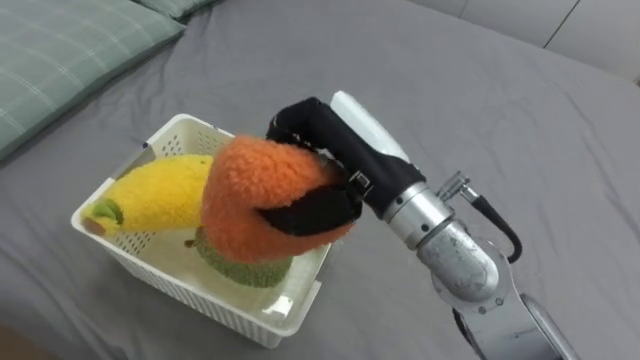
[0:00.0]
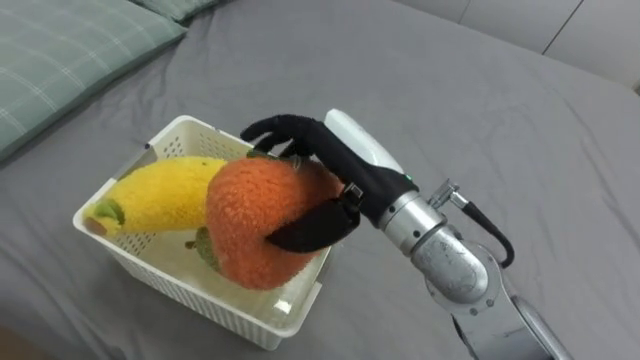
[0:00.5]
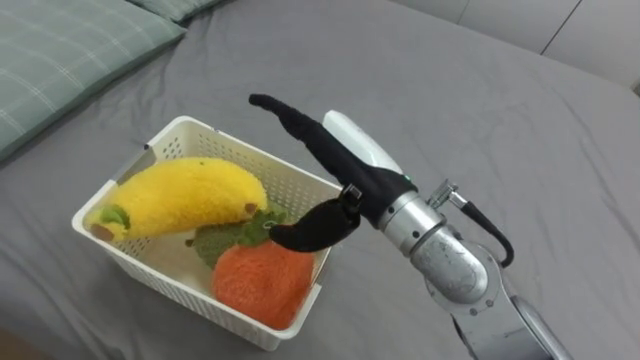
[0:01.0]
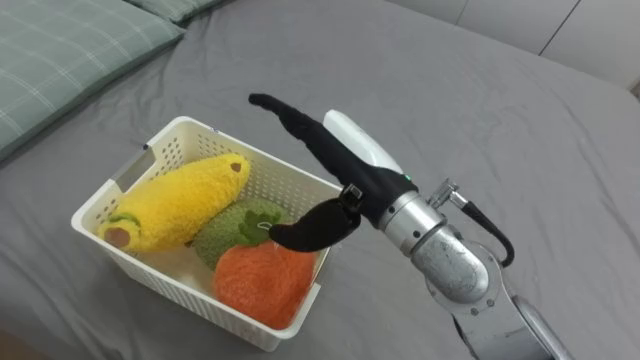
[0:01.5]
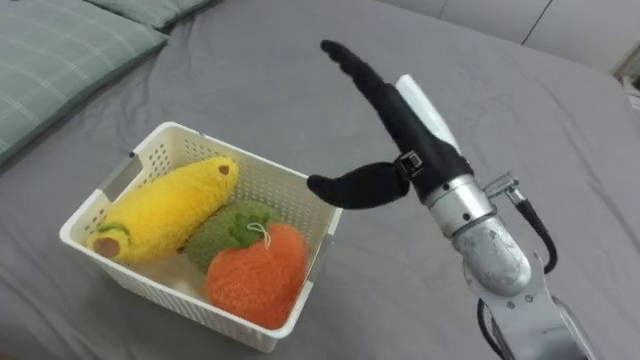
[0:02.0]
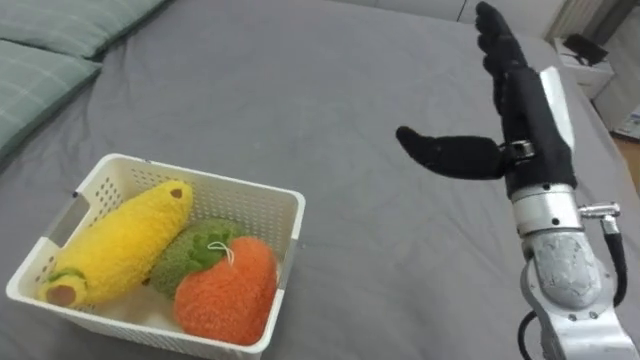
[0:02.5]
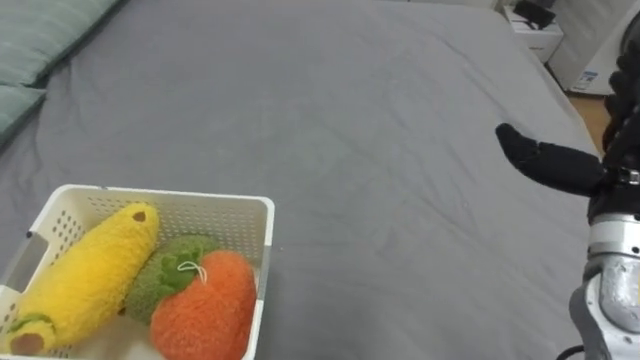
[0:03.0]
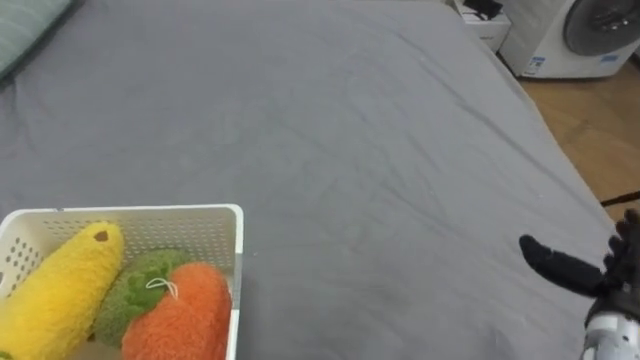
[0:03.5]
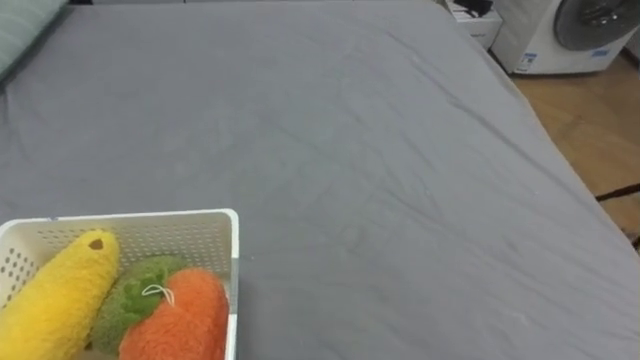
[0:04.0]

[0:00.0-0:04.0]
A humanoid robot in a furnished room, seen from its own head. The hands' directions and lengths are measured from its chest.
Task of the whole recording: Put the toys on the bed into the basket on the left.
0:00.0 to 0:02.0: The right hand goes about 5 cm to the right, and opens.

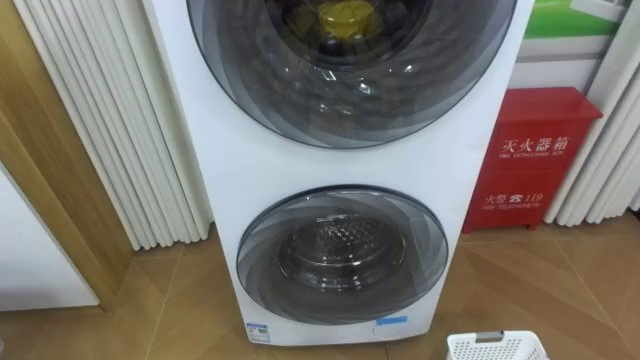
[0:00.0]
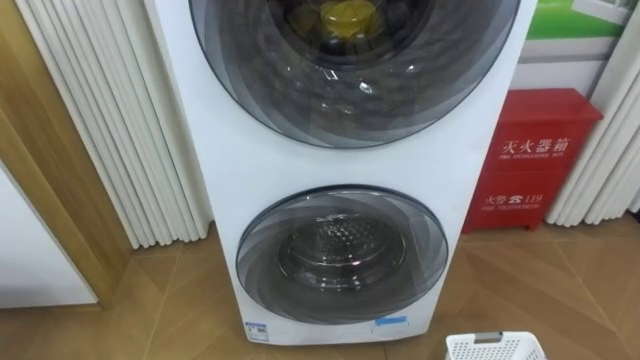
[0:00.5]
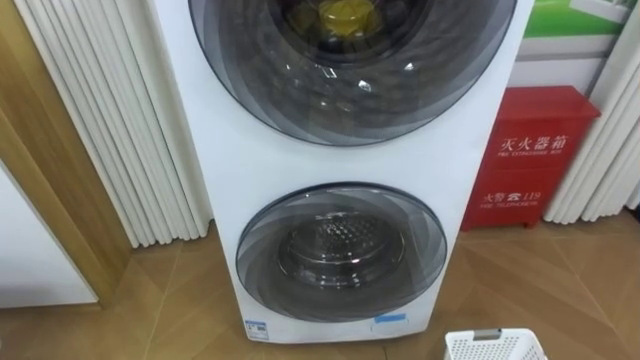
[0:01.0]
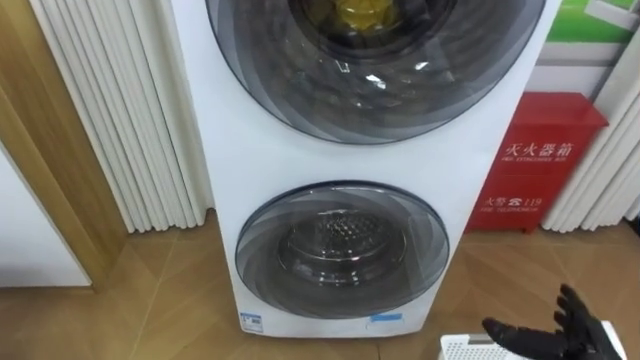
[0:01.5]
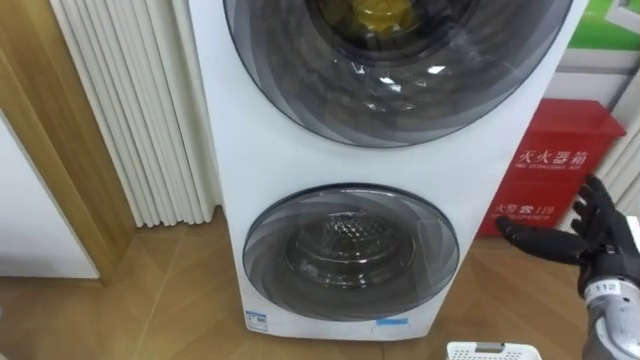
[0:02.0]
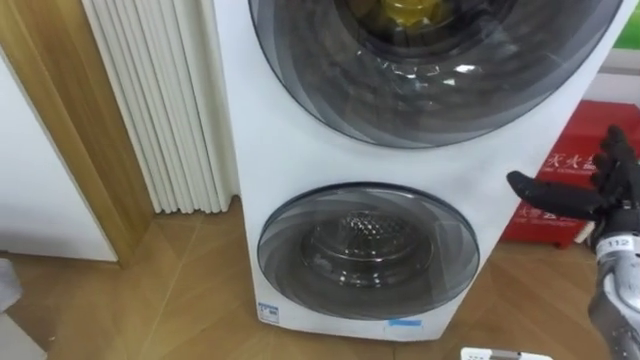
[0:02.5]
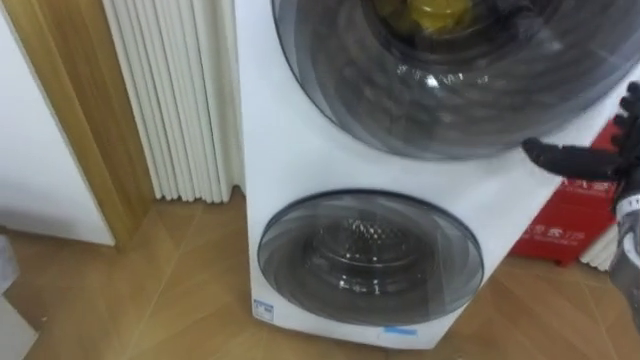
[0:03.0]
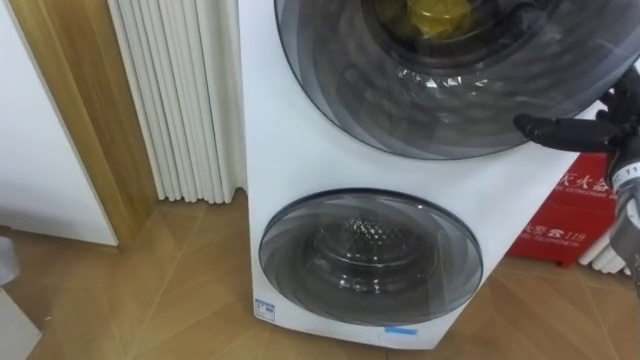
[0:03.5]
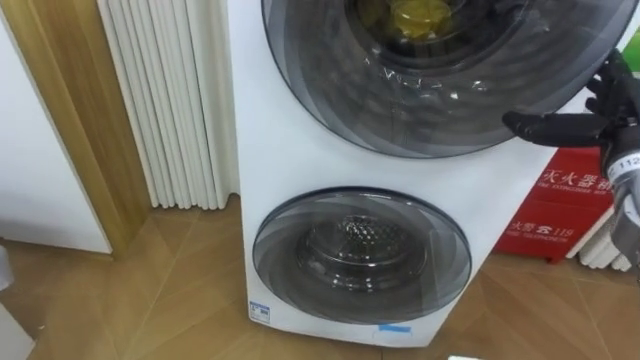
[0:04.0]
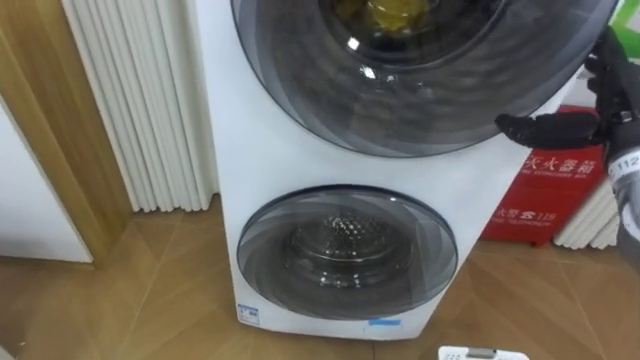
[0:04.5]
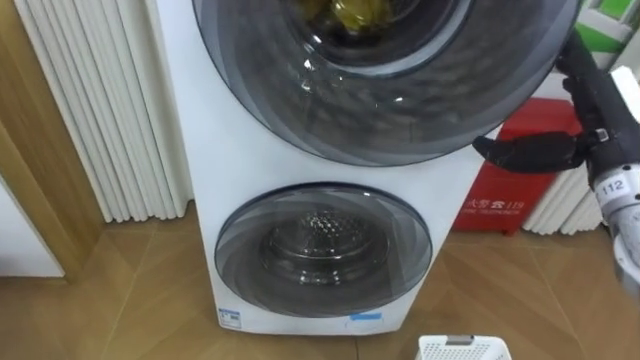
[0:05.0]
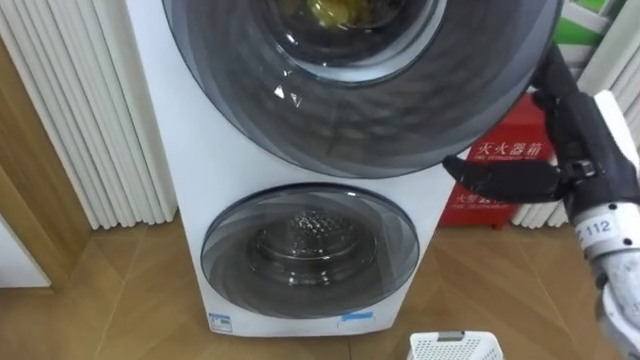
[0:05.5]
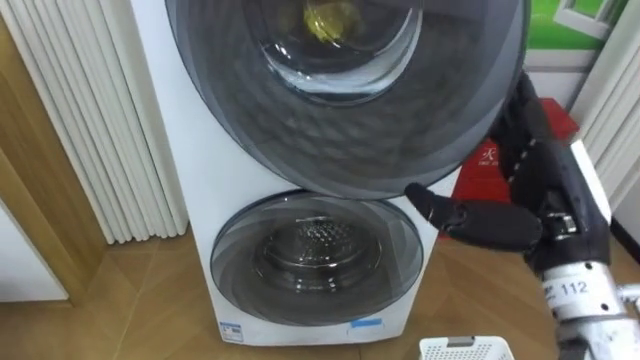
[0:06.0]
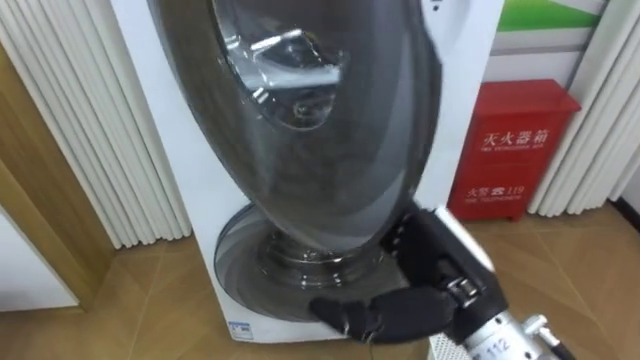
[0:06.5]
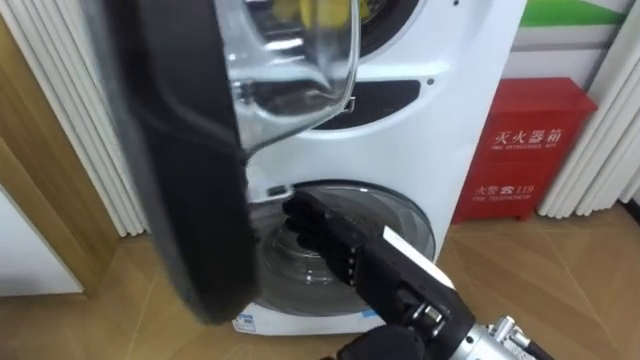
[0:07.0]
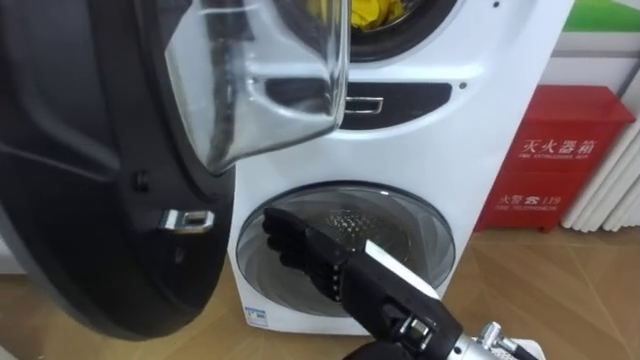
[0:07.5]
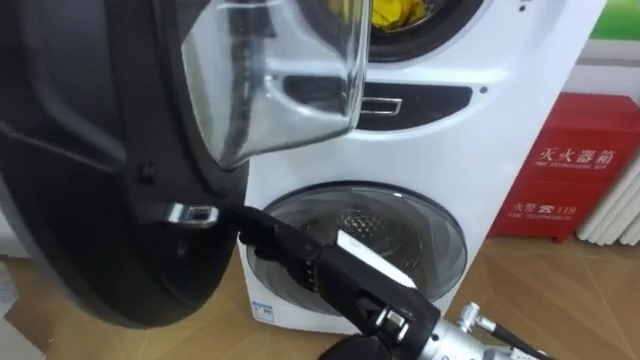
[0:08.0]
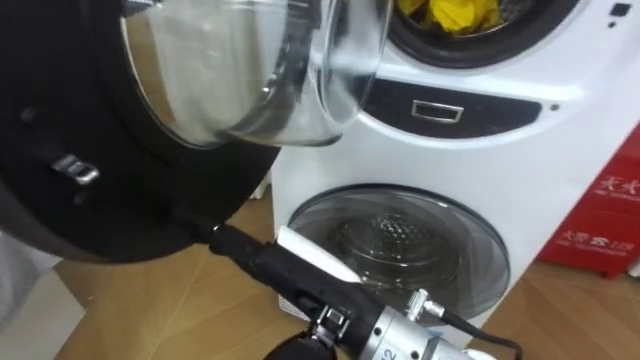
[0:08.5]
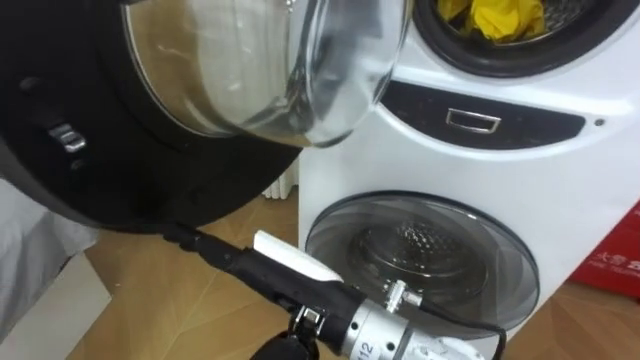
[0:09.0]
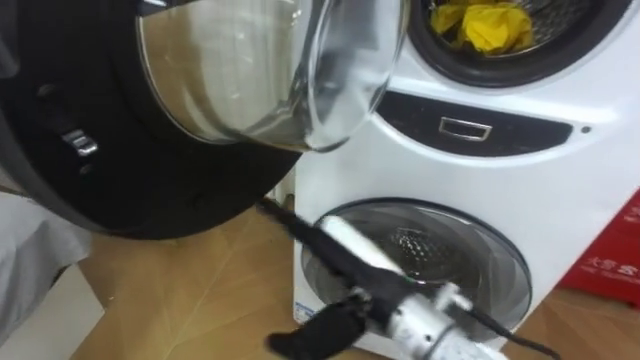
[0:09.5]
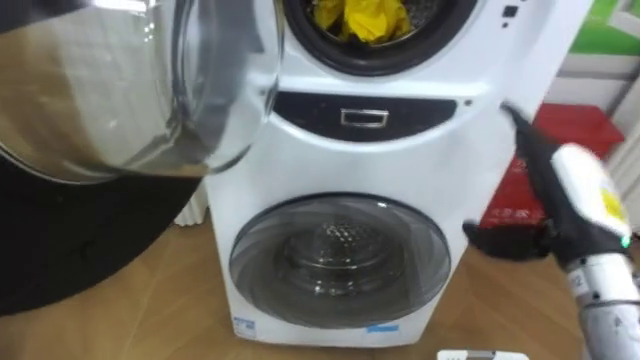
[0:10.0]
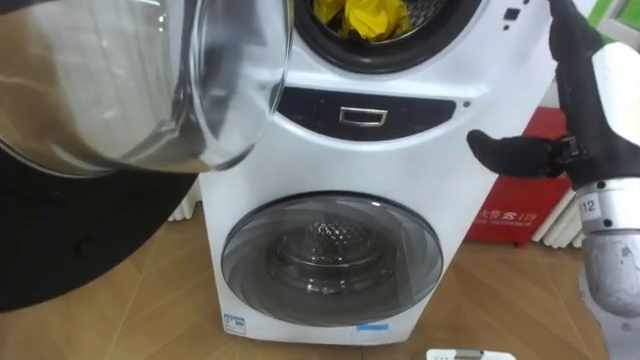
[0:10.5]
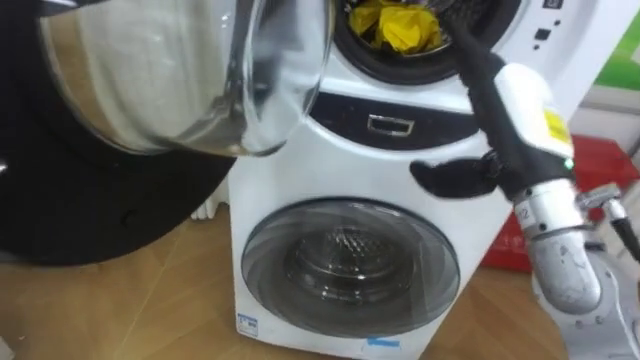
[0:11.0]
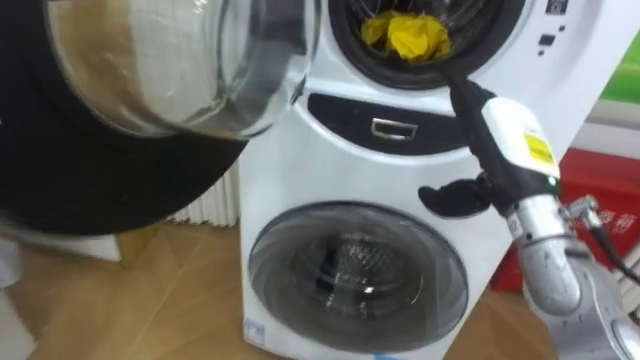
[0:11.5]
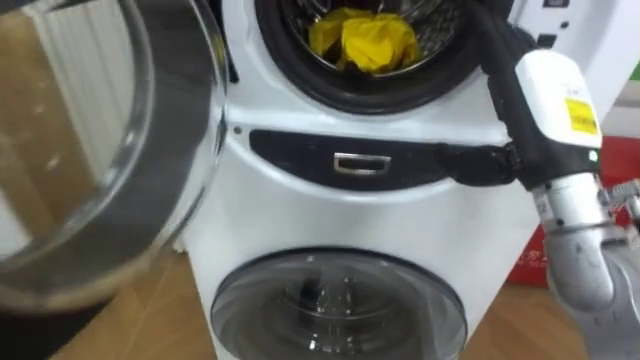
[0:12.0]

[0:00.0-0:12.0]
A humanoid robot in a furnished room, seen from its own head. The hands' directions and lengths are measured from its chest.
Task of the whole recording: Open the washing machine door, take out the yellow clothes, place them in the box on the right, and close the washing machine door.
0:04.0 to 0:06.0: The right hand moves to the left and backward, roughly 15 cm.
0:06.0 to 0:08.0: The right hand shifts about 15 cm to the left.
0:08.0 to 0:10.0: The right hand is displaced to the right by roughly 20 cm.
0:10.0 to 0:12.0: The right hand moves up and down over approximately 10 cm, changing direction 2 times.

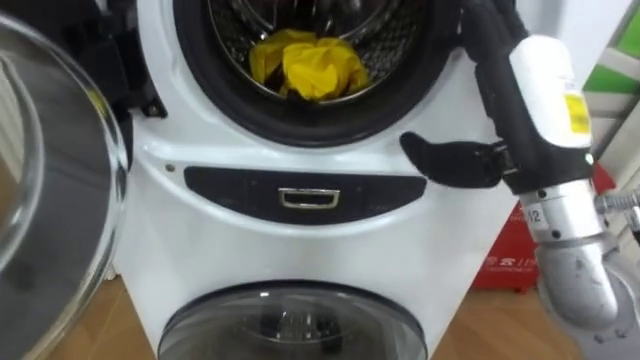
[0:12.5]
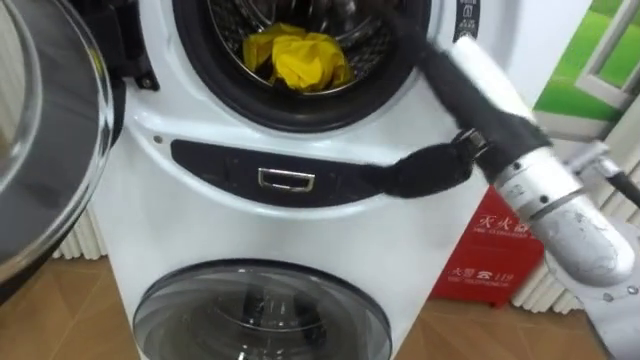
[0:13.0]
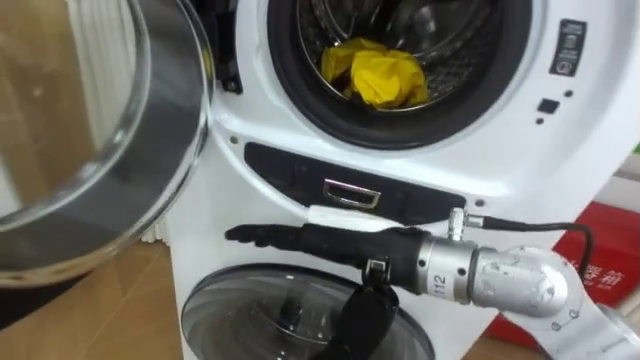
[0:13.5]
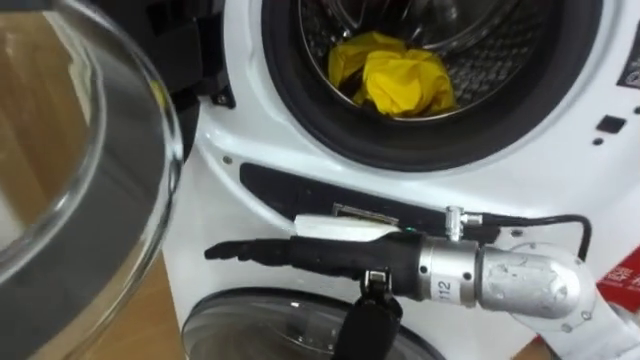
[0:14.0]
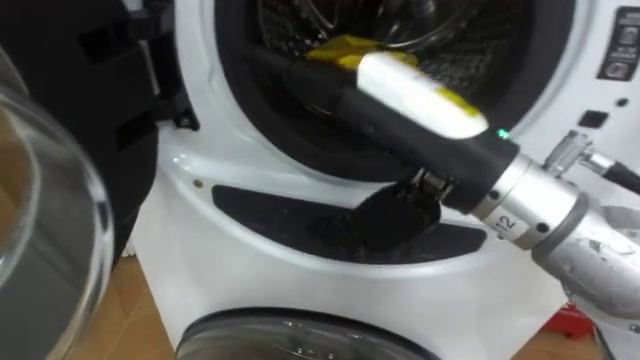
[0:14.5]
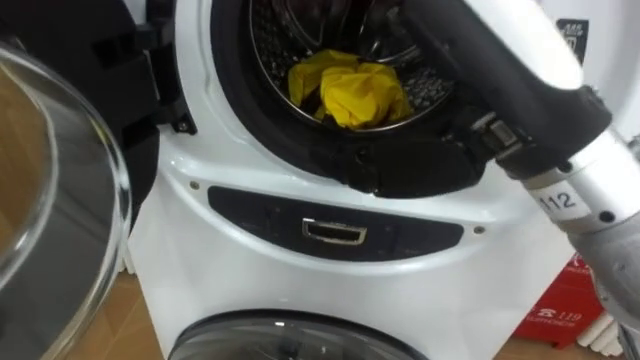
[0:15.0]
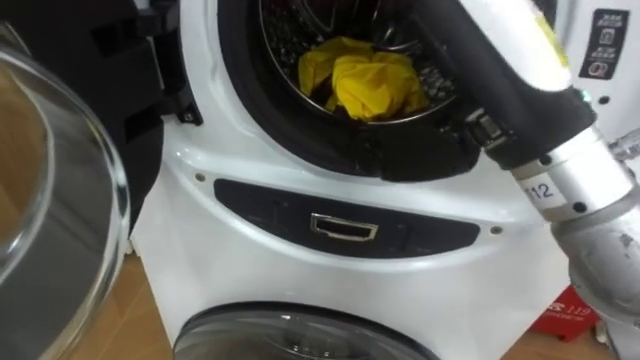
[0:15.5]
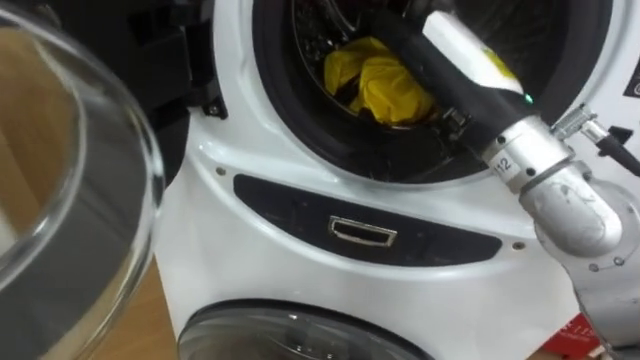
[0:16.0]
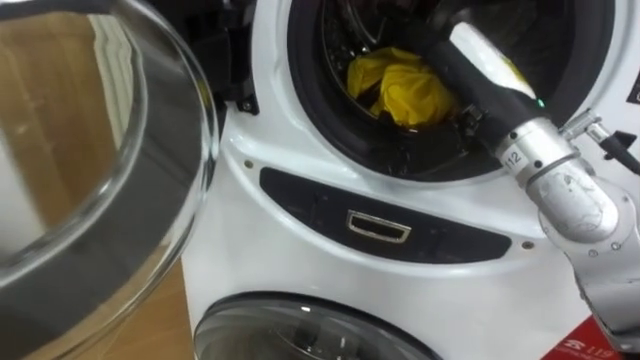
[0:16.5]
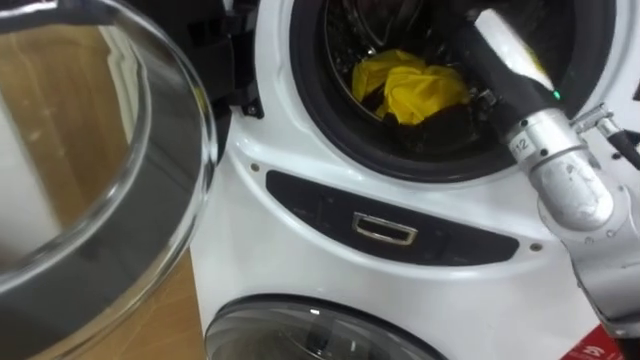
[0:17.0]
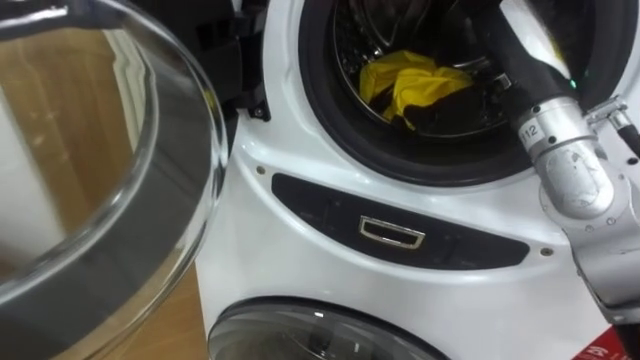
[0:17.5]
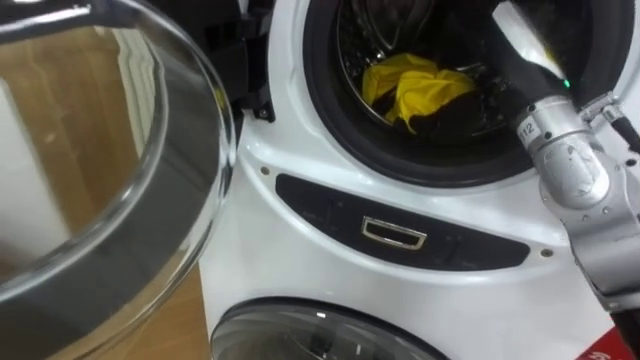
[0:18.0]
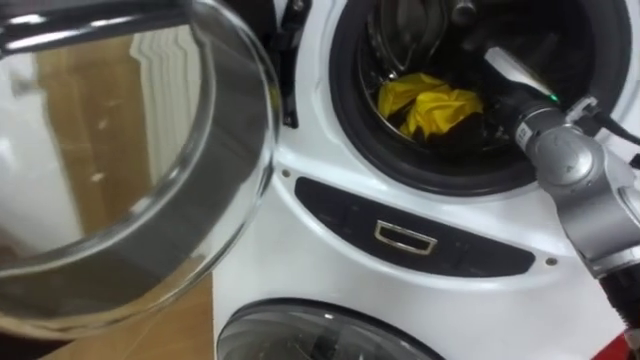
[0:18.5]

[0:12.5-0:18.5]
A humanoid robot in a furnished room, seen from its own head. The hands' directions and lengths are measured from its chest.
Task of the whole recording: Open the washing machine door, take out the yellow clothes, place them in the box on the right, and close the washing machine door.
0:12.5 to 0:14.5: The right hand is displaced to the left by roughly 10 cm.
0:14.5 to 0:16.5: The right hand travels forward and to the right by approximately 15 cm.
0:16.5 to 0:18.5: The right hand moves forward, to the right and downward, approximately 10 cm.
